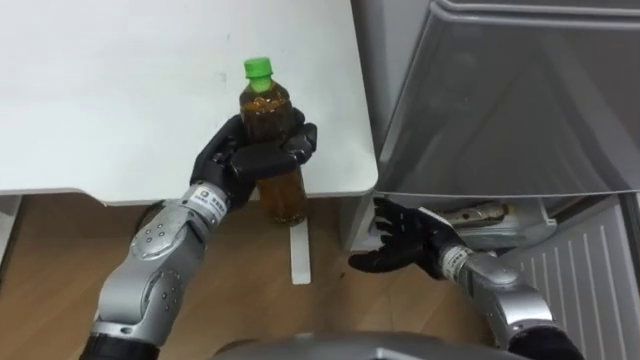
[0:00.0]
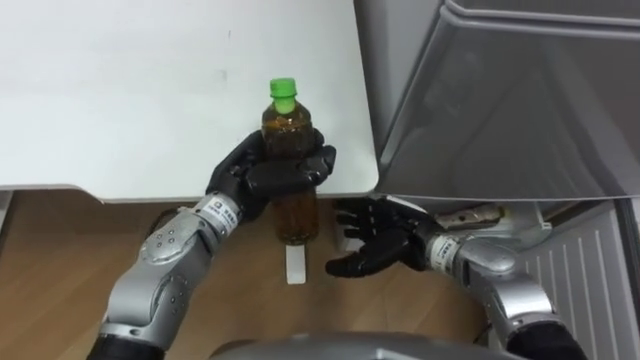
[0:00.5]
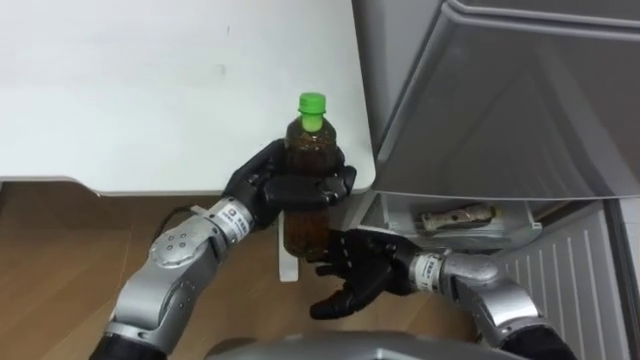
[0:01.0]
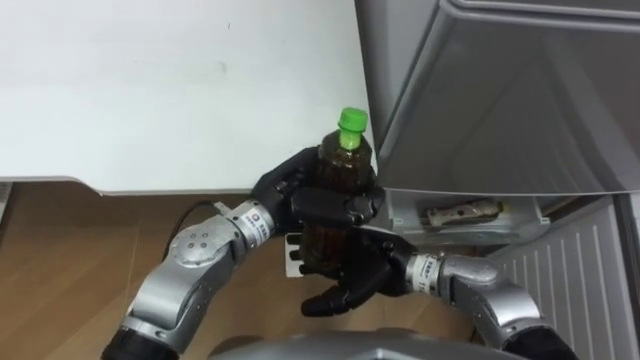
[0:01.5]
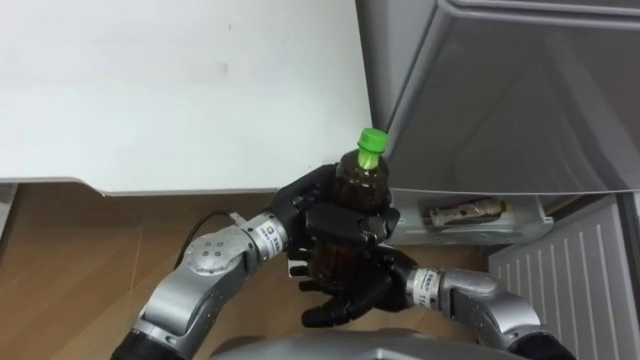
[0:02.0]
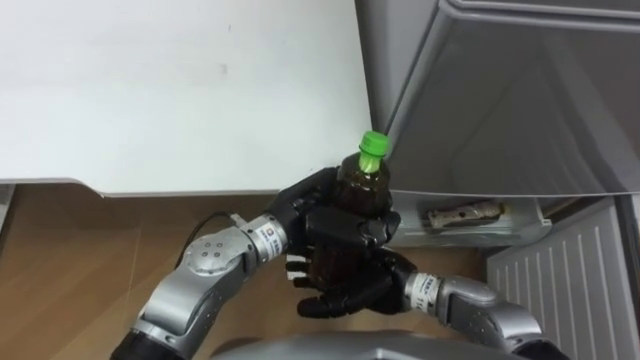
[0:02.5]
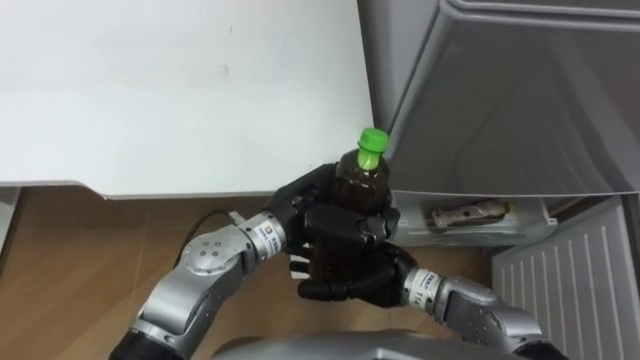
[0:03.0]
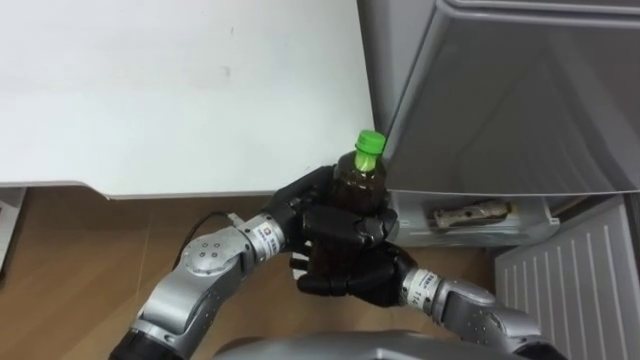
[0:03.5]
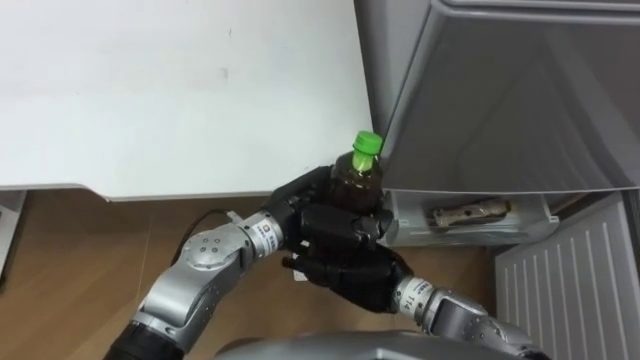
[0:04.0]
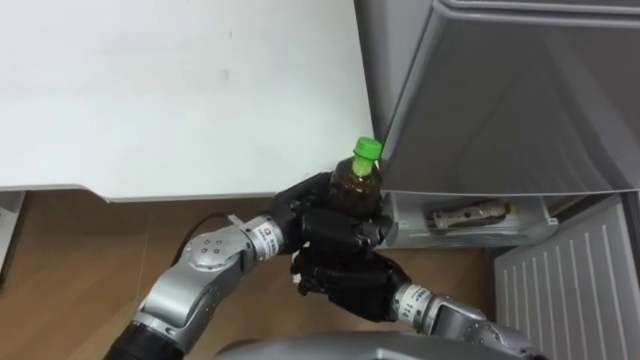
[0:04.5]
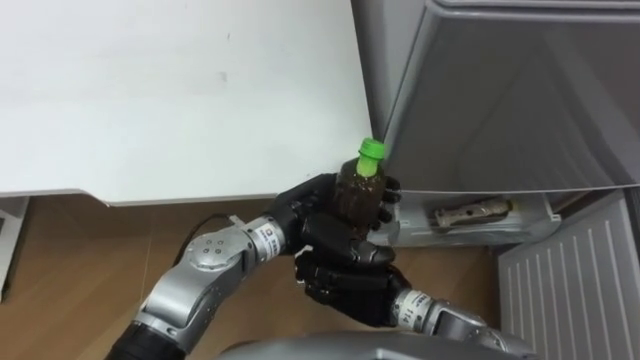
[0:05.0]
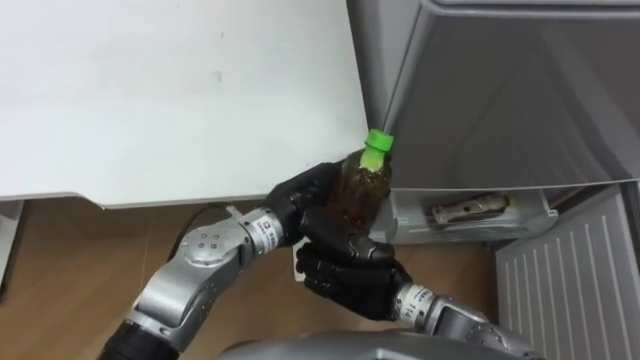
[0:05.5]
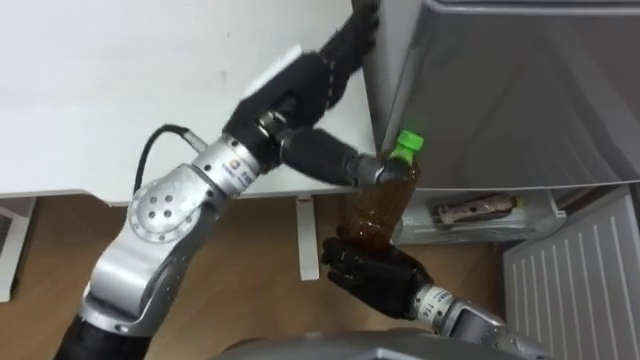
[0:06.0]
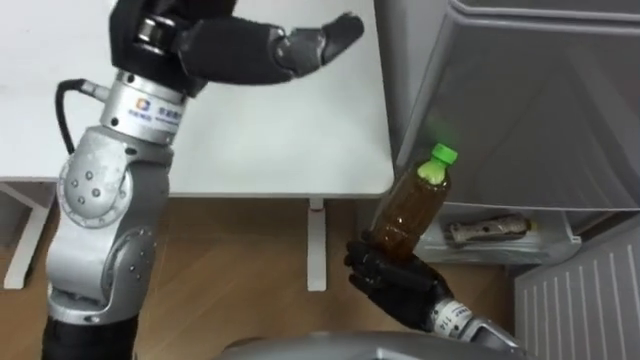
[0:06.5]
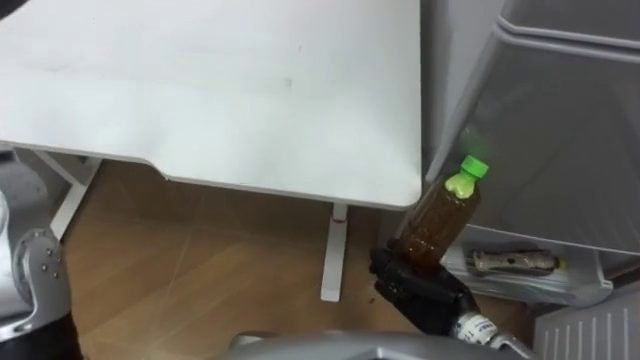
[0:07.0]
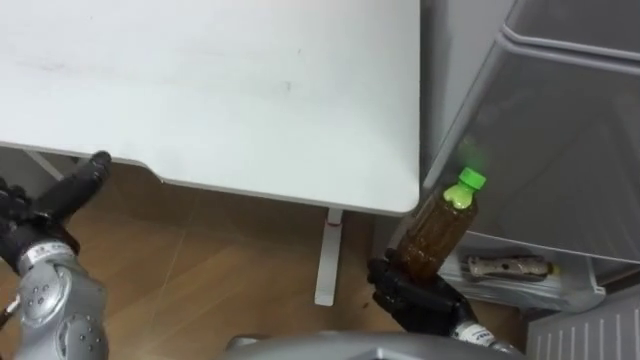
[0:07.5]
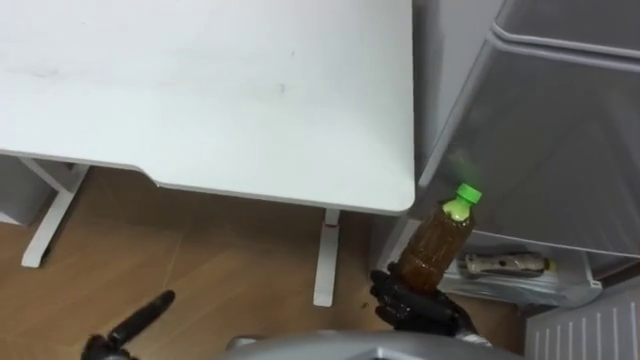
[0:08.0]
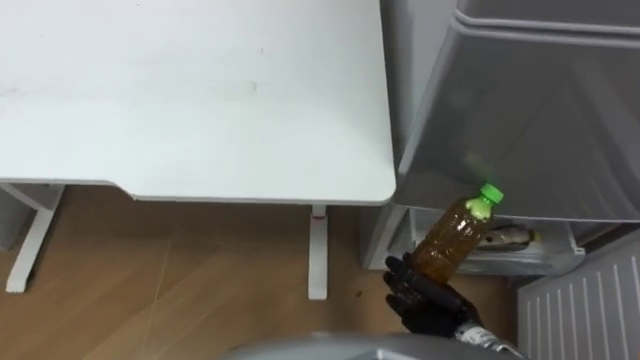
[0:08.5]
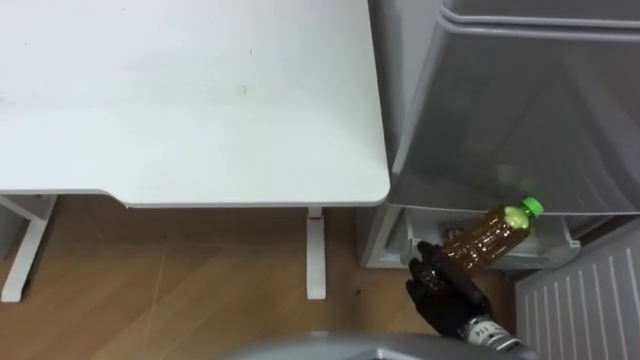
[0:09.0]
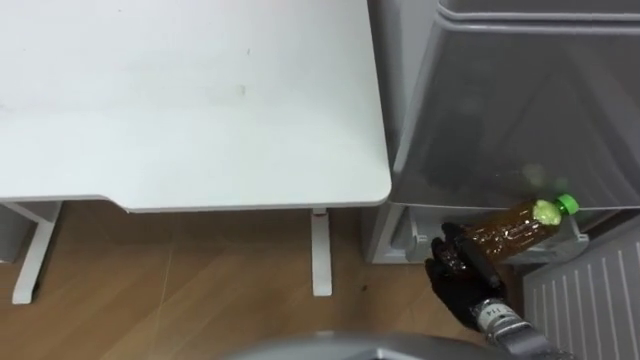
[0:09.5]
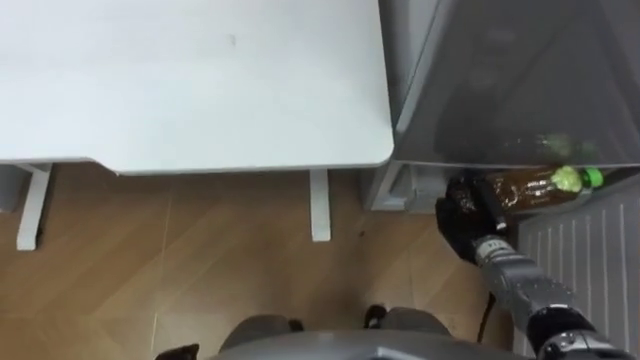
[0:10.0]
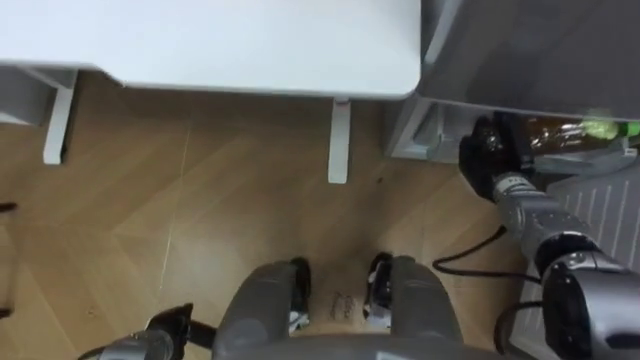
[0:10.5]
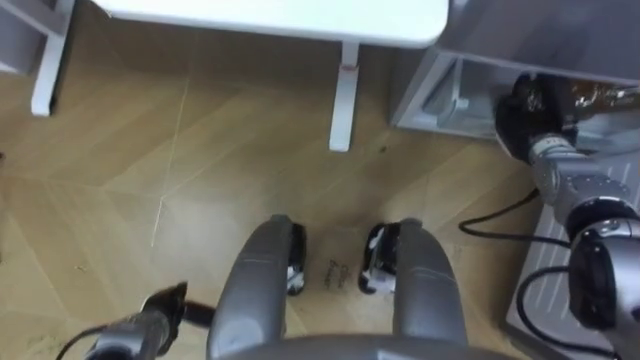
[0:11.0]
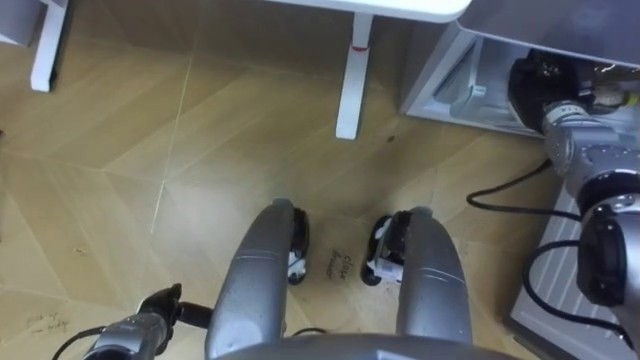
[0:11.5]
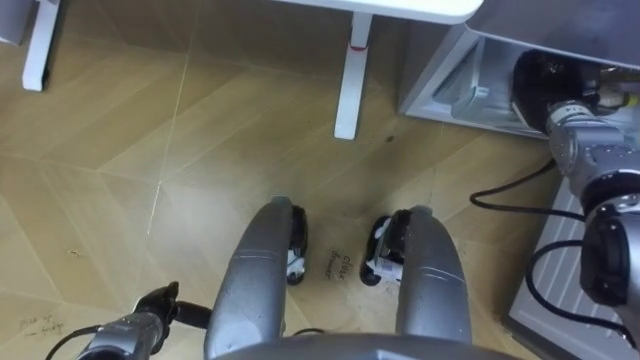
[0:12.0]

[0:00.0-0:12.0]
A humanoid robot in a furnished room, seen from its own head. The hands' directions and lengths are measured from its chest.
Task of the whole recording: Place the drink on the table on the bottom shelf of the refrigerator, then close the drawer and the refrigerator door.
0:00.0 to 0:02.0: The right hand is displaced to the left and backward by about 10 cm. Meanwhile the left hand goes approximately 10 cm to the right.
0:04.0 to 0:06.0: The left hand moves upward, approximately 15 cm, and opens. The right hand closes.
0:06.0 to 0:08.0: The right hand travels to the right and backward by approximately 10 cm.
0:08.0 to 0:10.0: The right hand travels forward and to the right by approximately 15 cm.
0:10.0 to 0:12.0: The right hand moves forward, upward and to the right, approximately 20 cm.

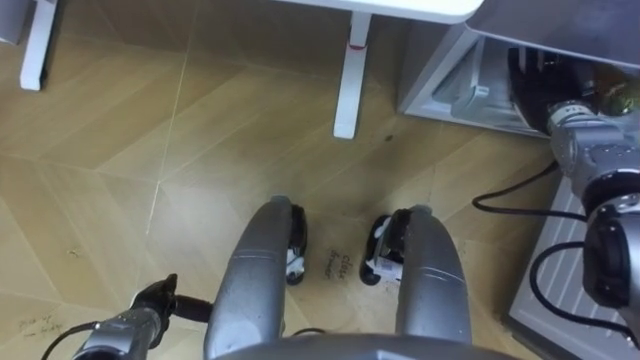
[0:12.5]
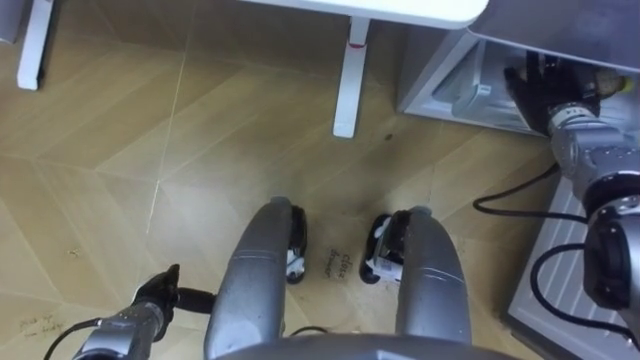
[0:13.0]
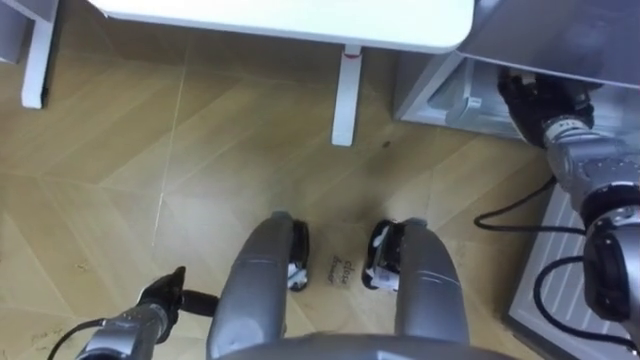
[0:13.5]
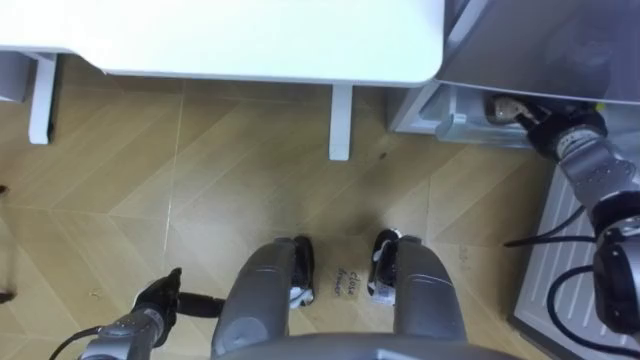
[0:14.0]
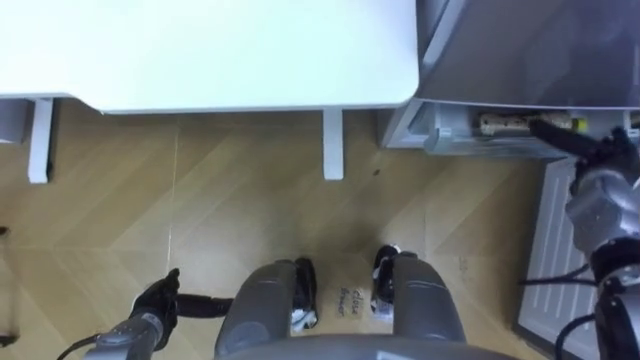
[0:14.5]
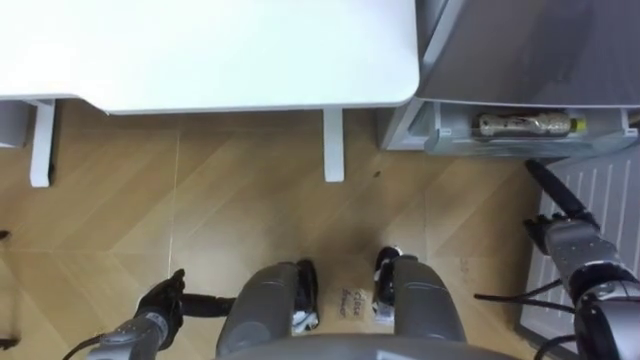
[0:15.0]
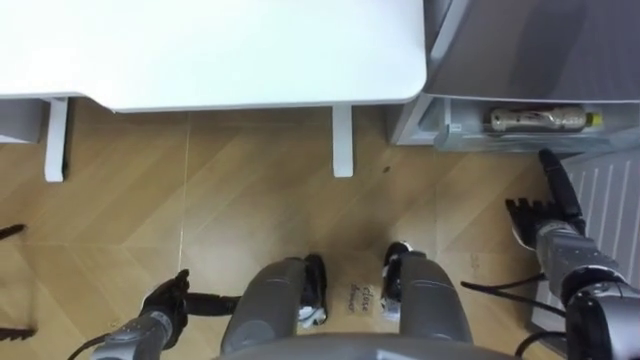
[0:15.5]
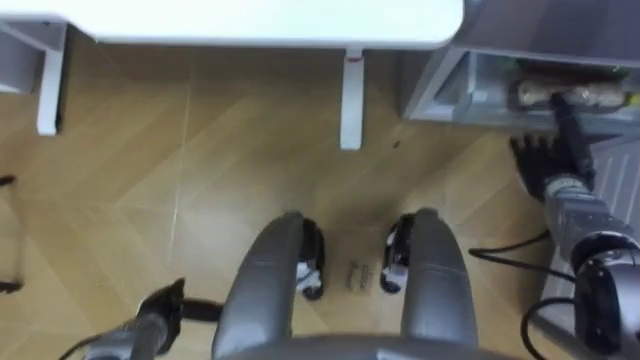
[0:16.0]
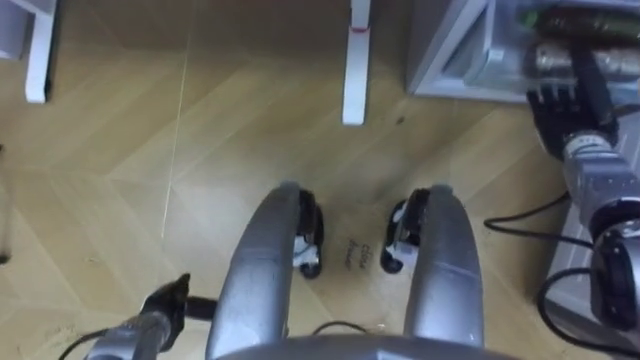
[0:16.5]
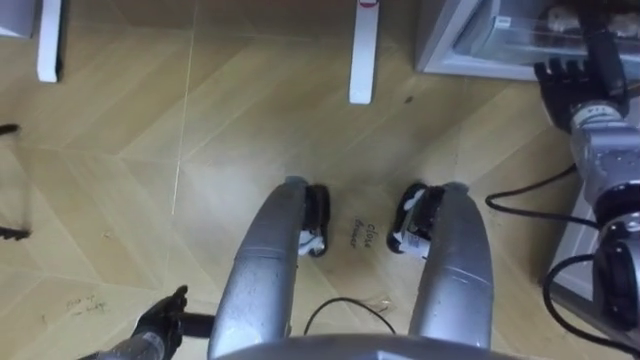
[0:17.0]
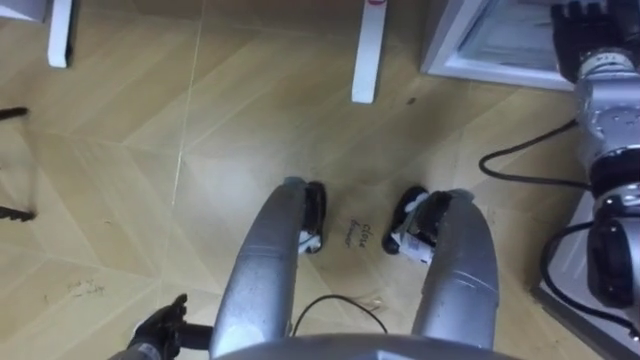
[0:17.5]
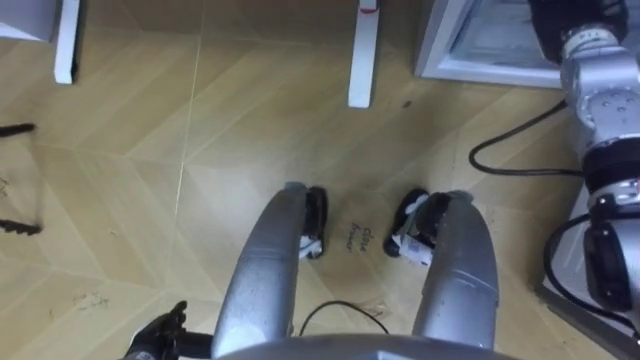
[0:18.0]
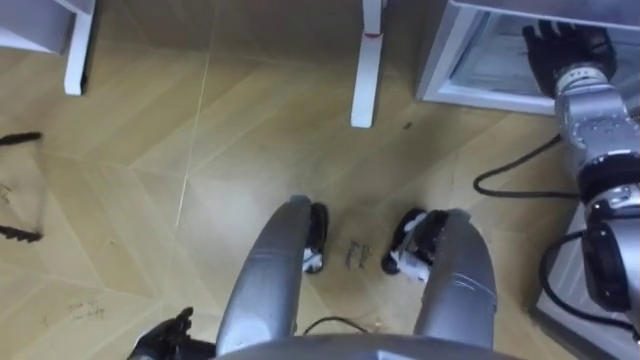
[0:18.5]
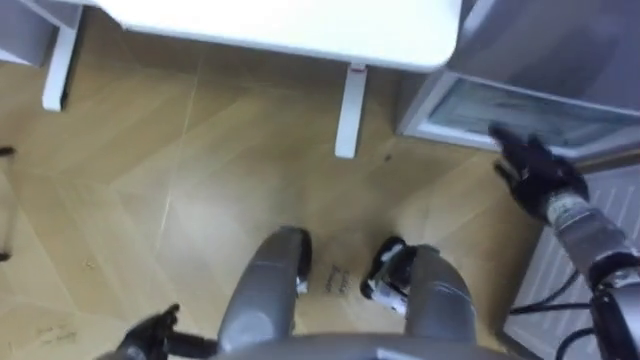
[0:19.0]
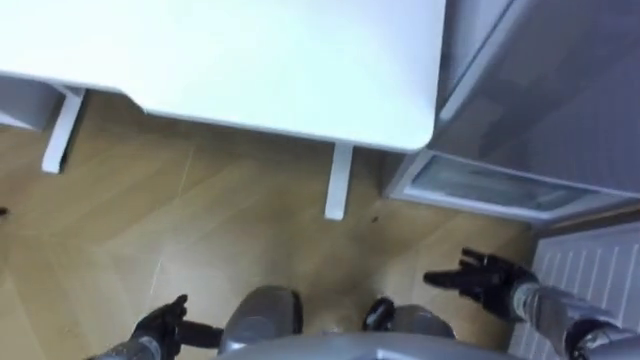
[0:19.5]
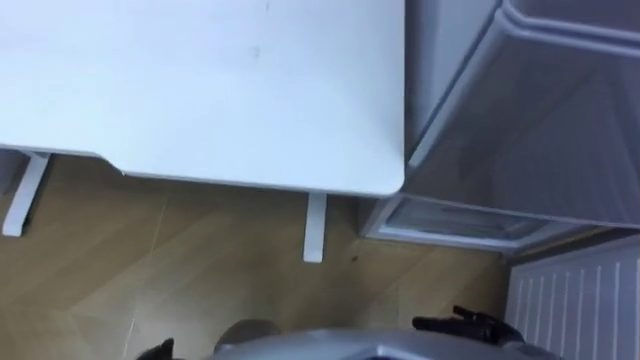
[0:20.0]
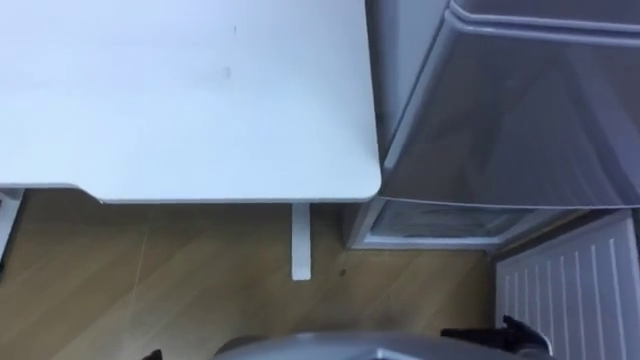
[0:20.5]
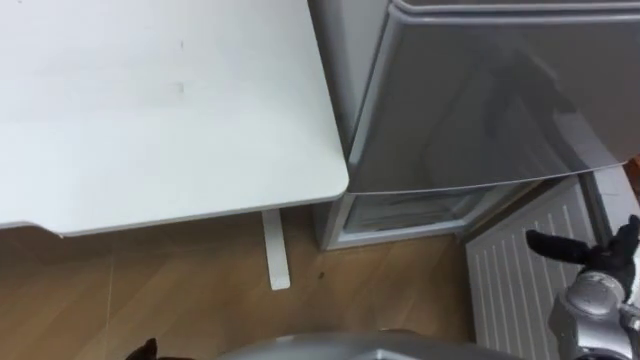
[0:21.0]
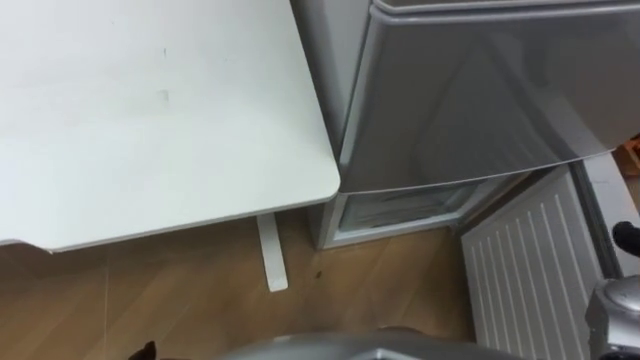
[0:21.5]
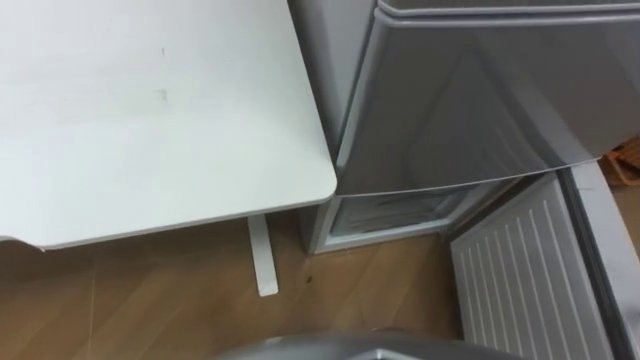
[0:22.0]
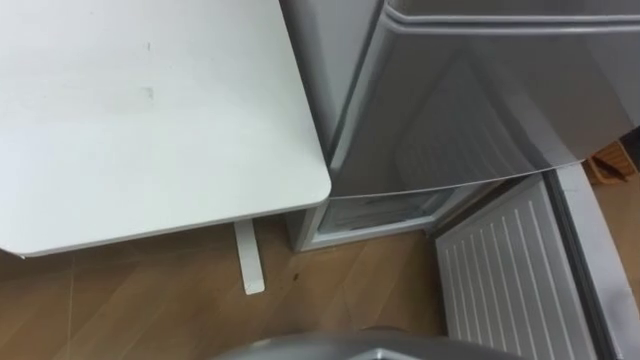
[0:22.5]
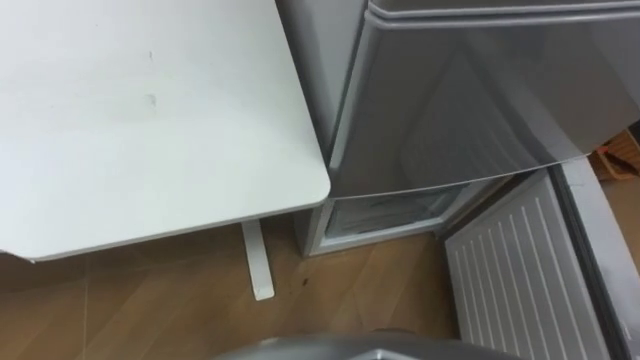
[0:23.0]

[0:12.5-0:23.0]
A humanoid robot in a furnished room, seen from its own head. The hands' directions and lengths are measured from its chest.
Task of the whole recording: Place the drink on the table on the bottom shelf of the refrigerator, then close the drawer and the refrigerator door.
0:12.5 to 0:14.5: The right hand goes about 10 cm backward and to the right.
0:14.5 to 0:16.5: The right hand moves forward, some 5 cm.
0:16.5 to 0:19.0: The left hand ends up about 5 cm from where it was. The right hand moves backward, roughly 5 cm, and reaches some 10 cm upward, then returns.
0:19.0 to 0:21.0: The right hand is displaced backward and to the right by about 15 cm.
